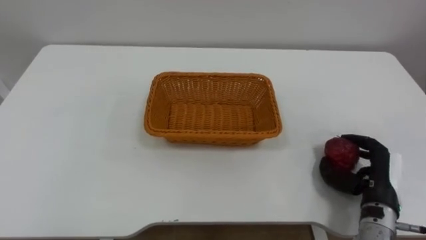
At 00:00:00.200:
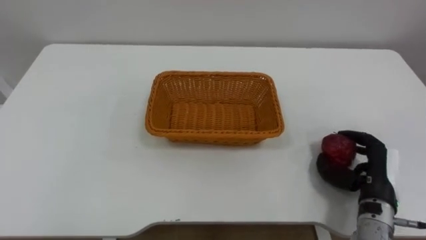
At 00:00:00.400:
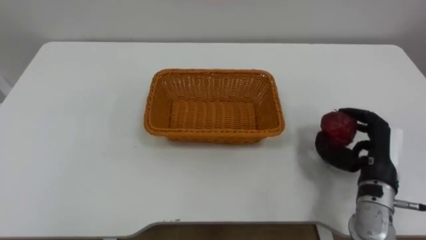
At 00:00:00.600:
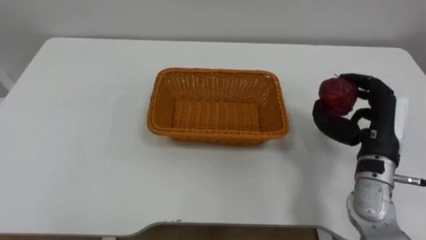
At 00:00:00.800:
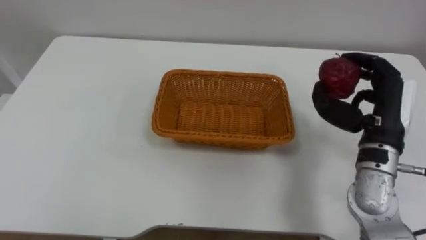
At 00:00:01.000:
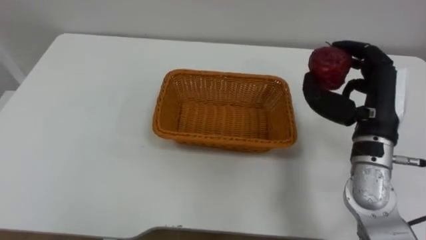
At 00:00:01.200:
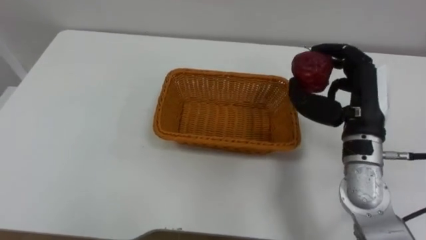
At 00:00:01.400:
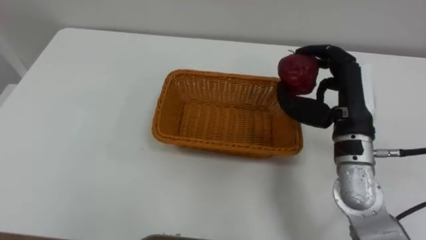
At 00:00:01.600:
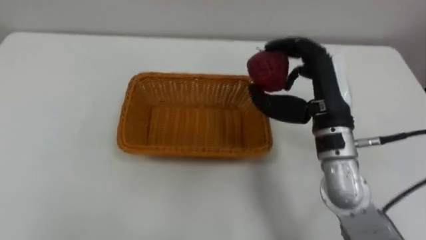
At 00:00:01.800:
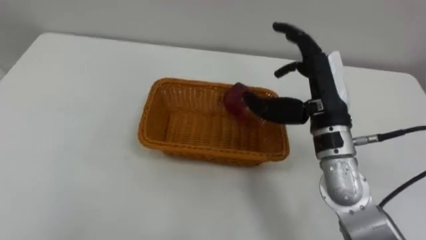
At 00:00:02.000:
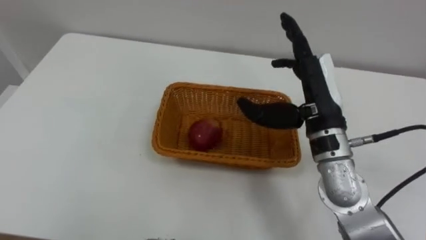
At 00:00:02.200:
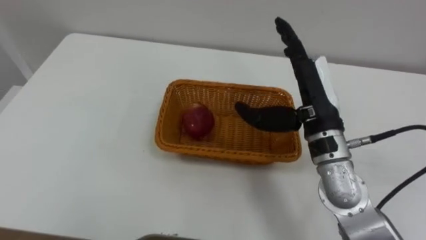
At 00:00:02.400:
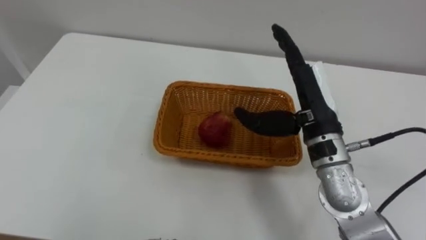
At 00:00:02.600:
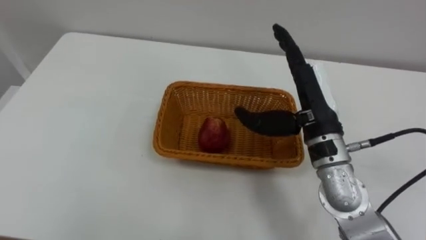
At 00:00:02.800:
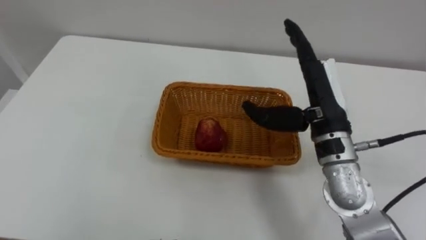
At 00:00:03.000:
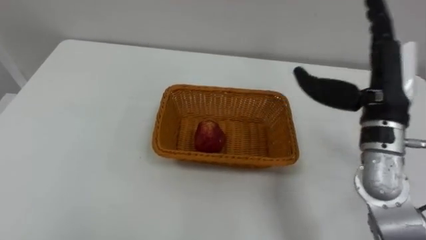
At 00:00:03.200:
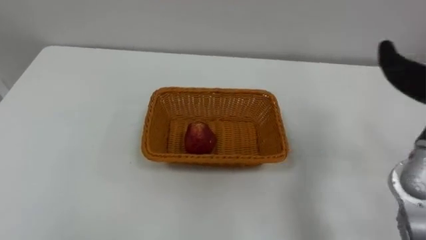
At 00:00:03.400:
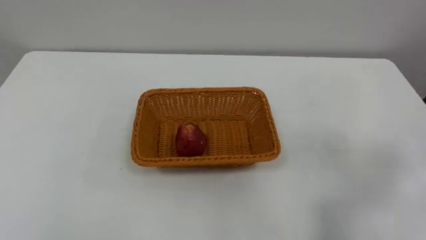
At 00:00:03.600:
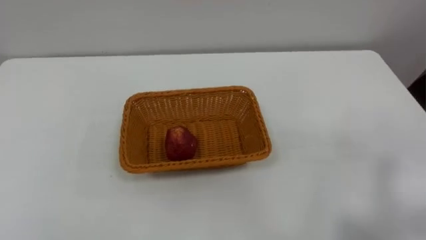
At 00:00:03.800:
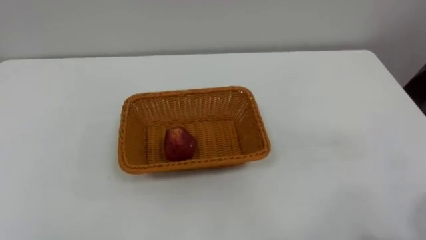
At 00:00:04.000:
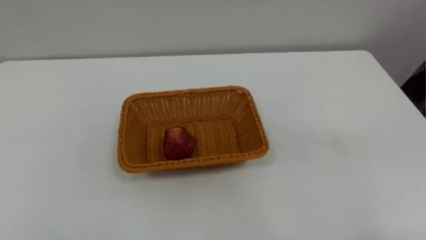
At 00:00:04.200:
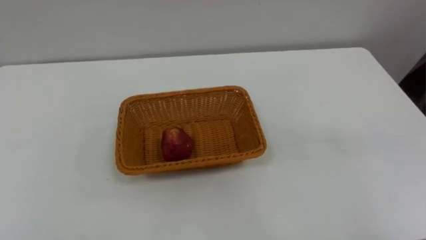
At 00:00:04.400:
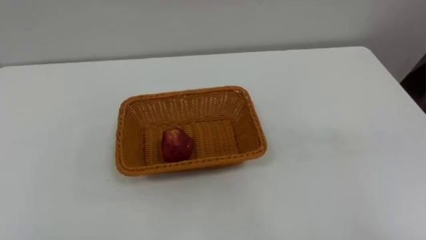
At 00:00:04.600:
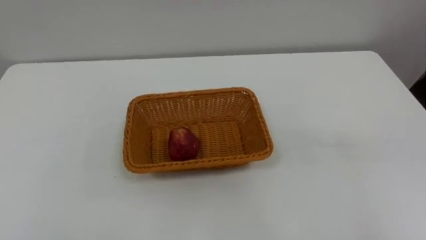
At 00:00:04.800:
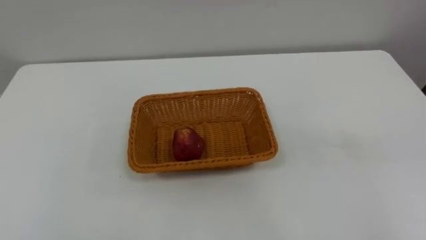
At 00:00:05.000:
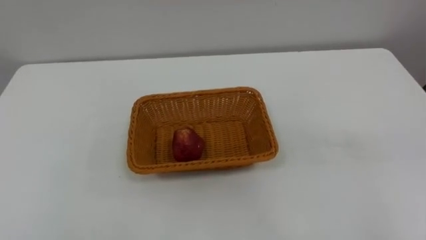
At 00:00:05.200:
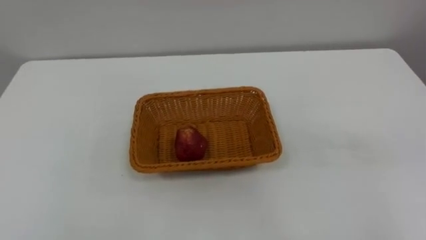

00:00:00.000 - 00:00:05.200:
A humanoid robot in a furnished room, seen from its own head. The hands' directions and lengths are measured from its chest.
Task of the whole recording: Pick the apple and place it in the box.
00:00:00.000 - 00:00:01.800: The right hand is displaced upward, to the left and forward by about 25 cm, and opens.

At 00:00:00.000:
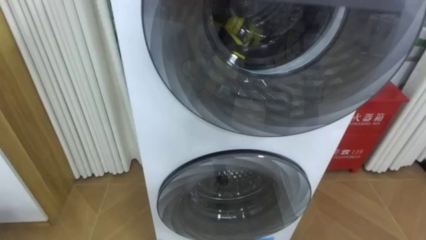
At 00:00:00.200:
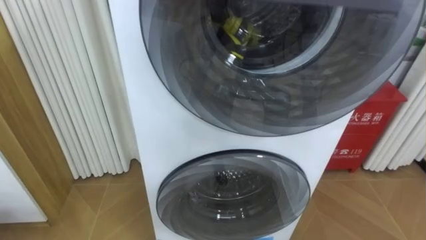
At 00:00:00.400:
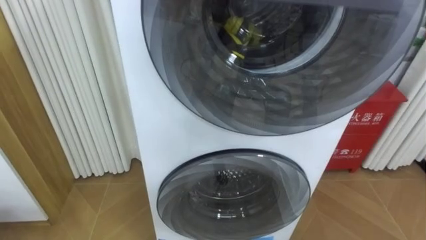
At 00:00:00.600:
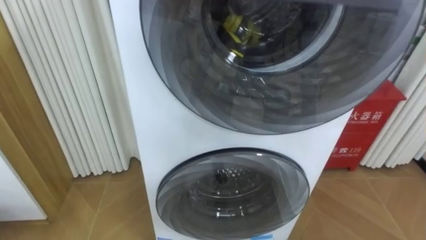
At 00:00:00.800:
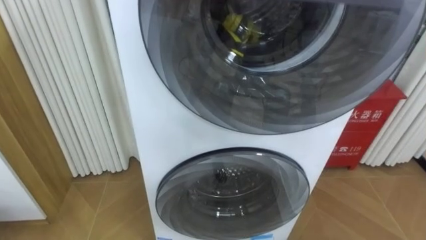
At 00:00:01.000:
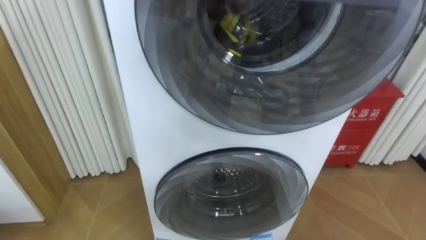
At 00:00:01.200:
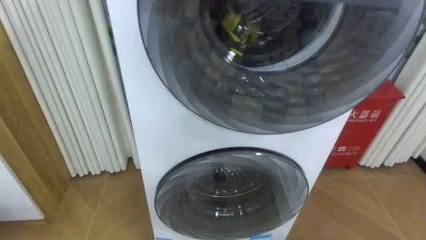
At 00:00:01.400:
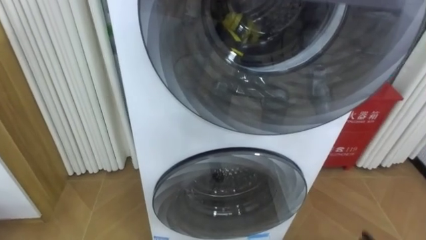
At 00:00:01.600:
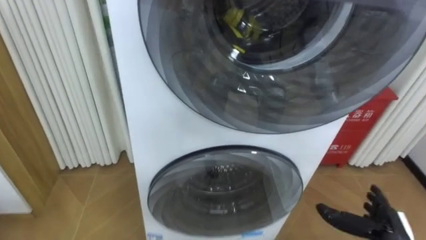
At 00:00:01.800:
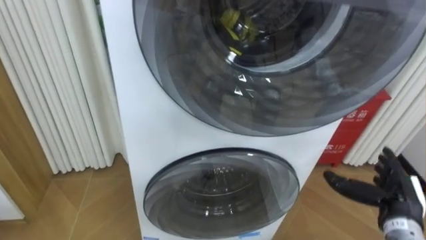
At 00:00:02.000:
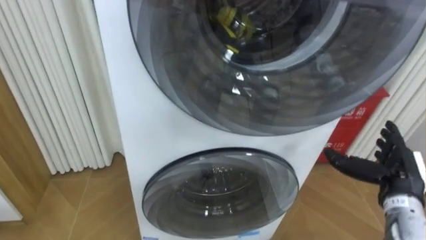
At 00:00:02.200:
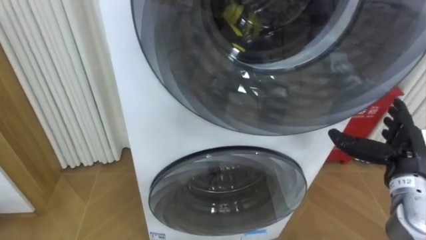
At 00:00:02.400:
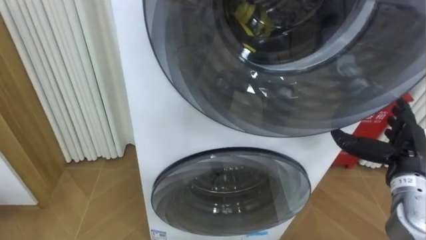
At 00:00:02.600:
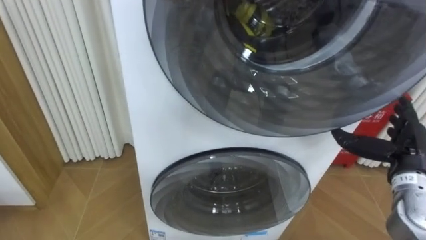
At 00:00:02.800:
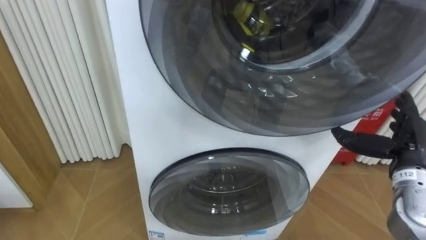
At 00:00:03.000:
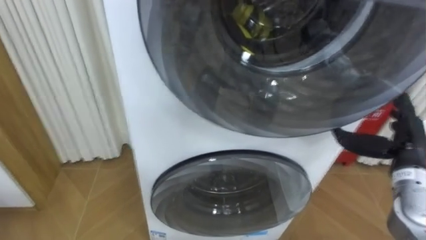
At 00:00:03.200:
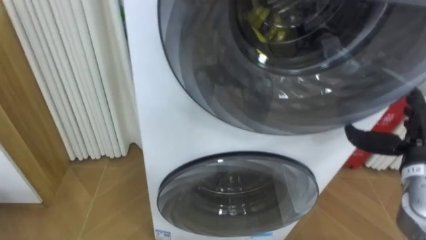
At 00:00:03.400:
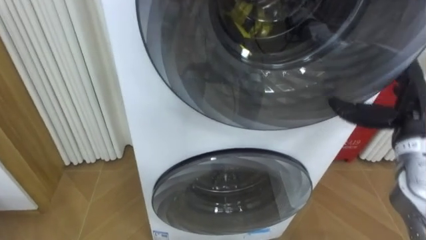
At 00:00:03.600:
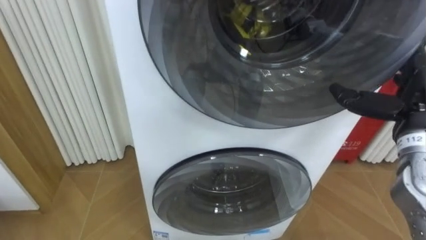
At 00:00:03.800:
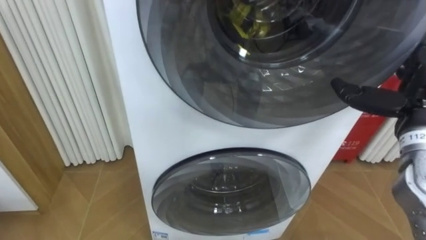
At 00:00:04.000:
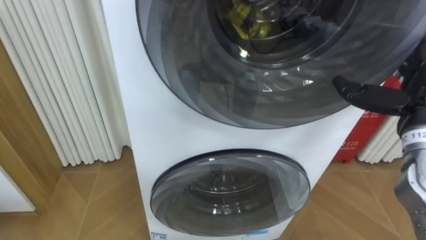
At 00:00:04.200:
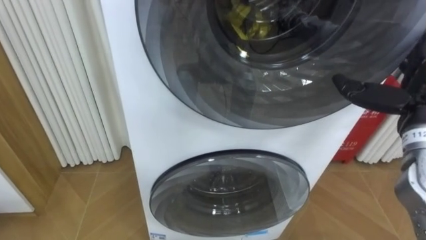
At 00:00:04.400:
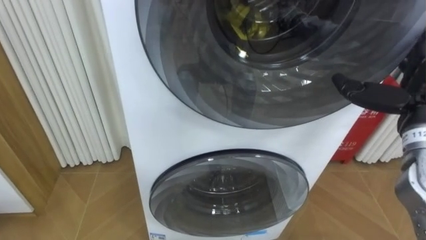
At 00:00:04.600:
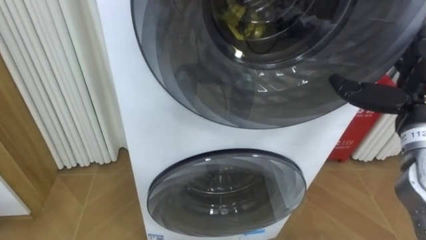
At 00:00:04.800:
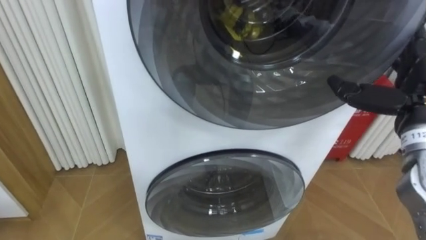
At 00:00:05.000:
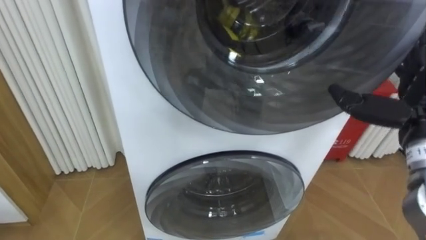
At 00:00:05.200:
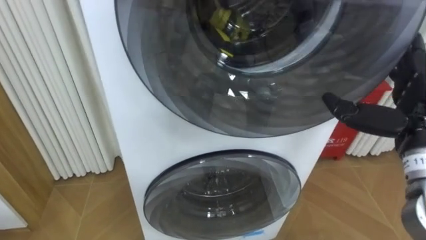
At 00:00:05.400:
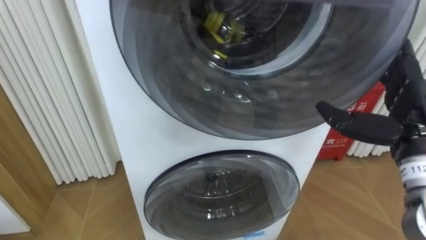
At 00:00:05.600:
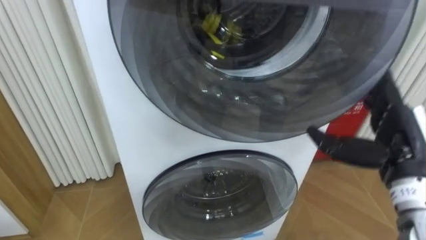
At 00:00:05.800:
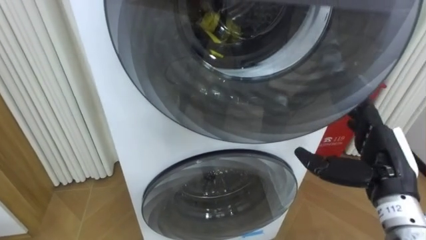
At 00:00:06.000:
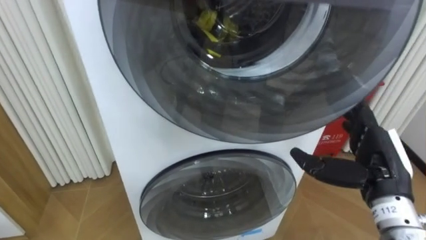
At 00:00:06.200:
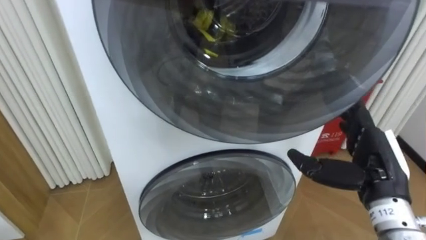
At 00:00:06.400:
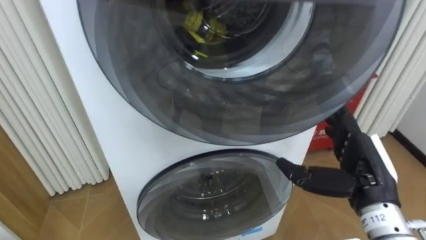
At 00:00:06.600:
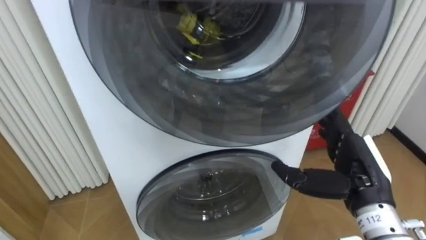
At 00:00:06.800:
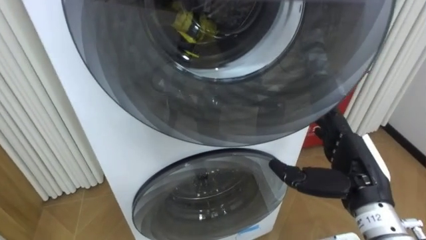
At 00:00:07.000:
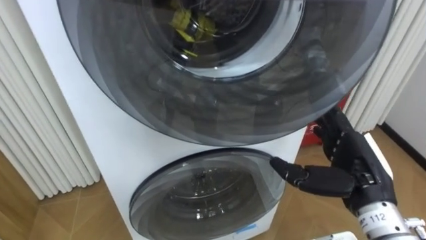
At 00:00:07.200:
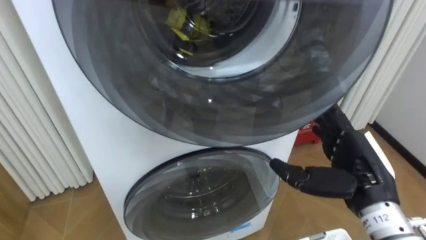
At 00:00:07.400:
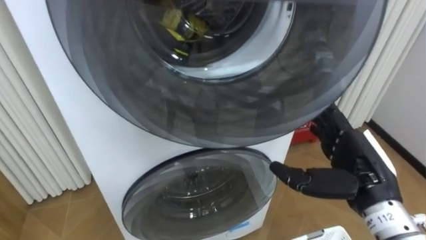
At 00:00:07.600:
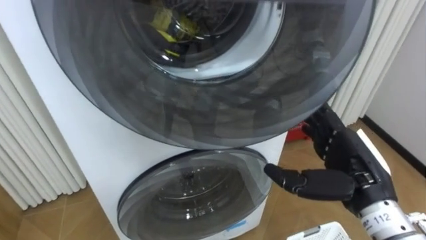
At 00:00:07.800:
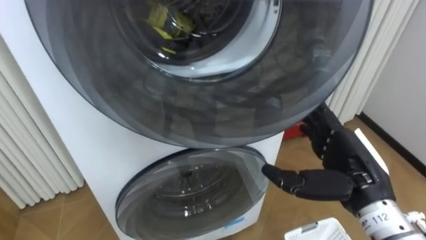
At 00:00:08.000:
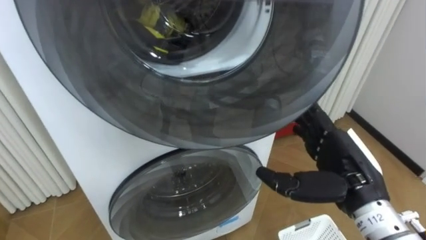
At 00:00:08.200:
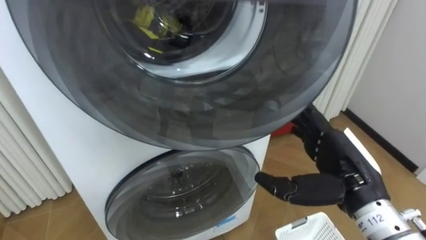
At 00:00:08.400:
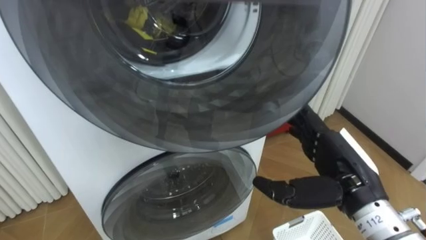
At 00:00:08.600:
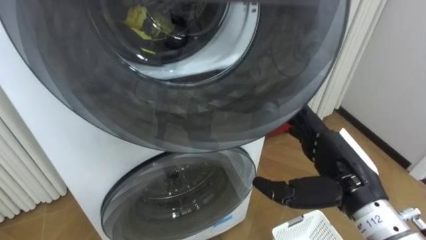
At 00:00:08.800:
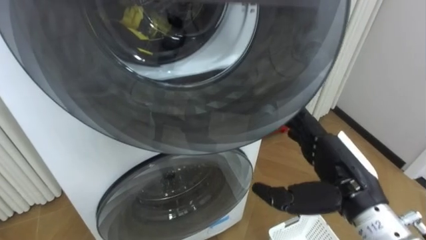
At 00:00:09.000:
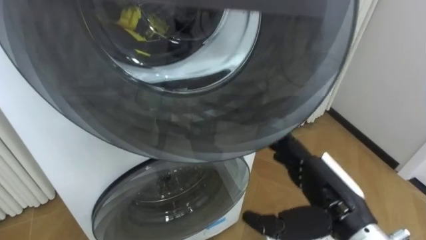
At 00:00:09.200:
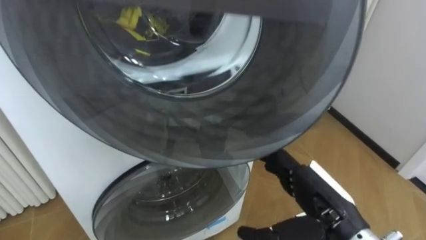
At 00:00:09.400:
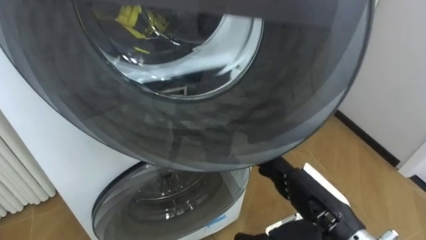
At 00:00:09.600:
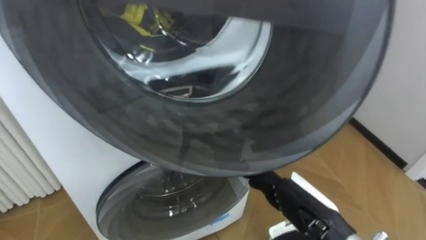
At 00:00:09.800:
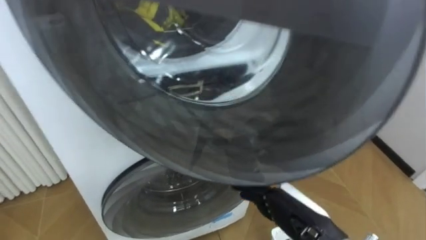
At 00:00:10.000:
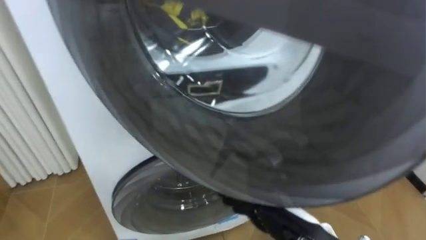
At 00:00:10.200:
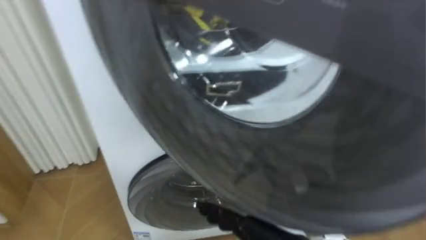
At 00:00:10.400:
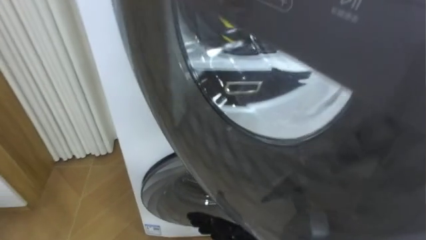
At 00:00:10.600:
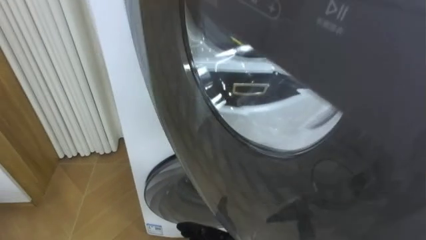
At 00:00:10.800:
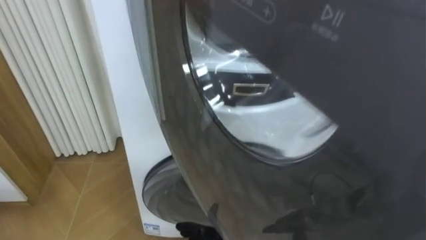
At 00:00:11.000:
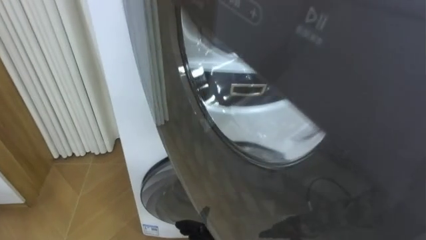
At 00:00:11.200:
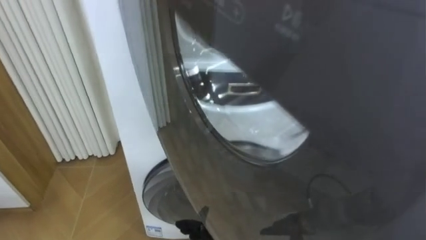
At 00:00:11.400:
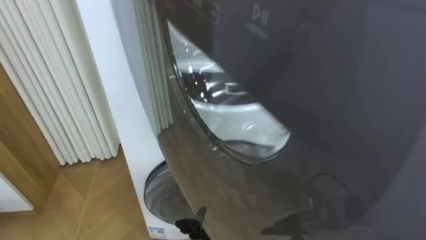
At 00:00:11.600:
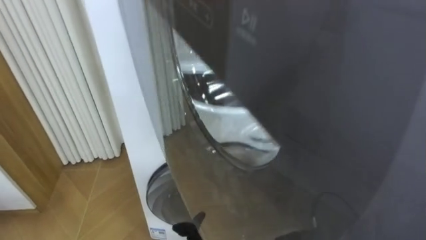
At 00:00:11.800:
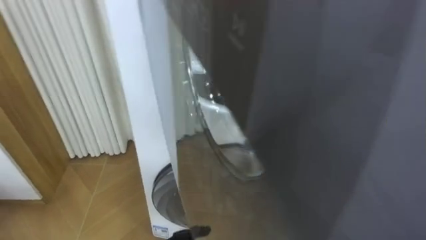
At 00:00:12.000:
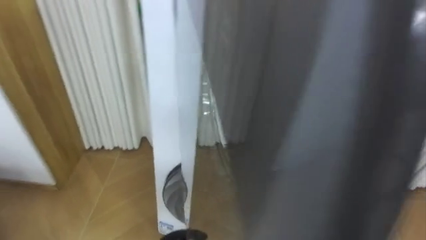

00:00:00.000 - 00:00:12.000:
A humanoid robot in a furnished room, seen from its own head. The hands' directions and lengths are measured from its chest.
Task of the whole recording: Open the washing machine door, take out the yellow clothes, place them in the box on the right, and close the washing machine door.
00:00:01.600 - 00:00:03.000: The right hand heads upward and forward, covering about 15 cm.
00:00:03.000 - 00:00:04.400: The right hand heads upward, covering approximately 10 cm.
00:00:04.400 - 00:00:06.000: The right hand goes approximately 10 cm downward, backward and to the left.
